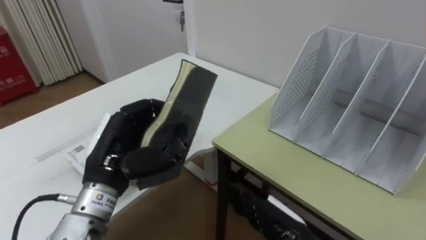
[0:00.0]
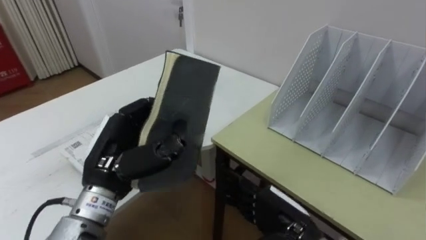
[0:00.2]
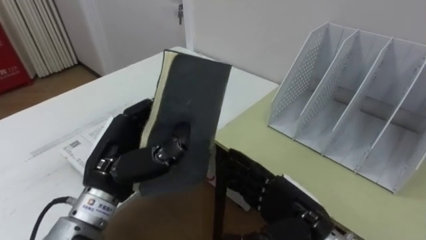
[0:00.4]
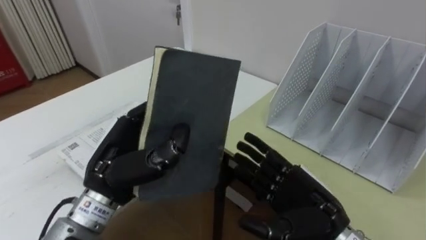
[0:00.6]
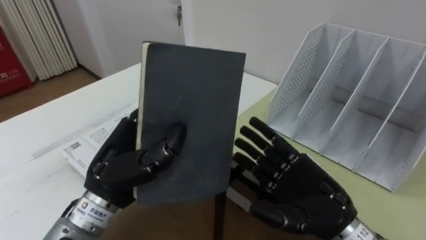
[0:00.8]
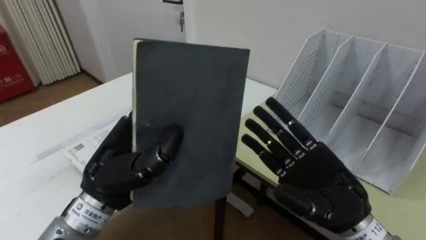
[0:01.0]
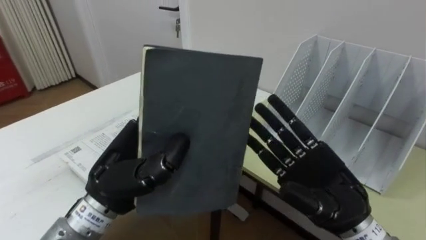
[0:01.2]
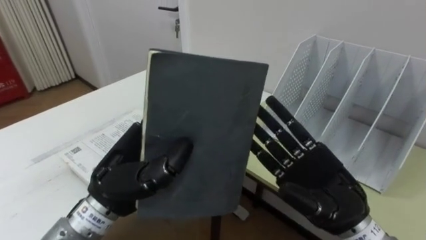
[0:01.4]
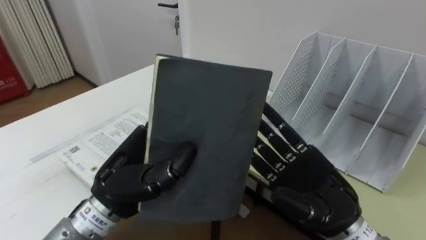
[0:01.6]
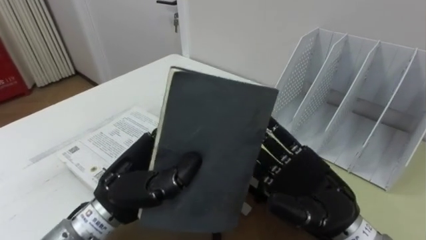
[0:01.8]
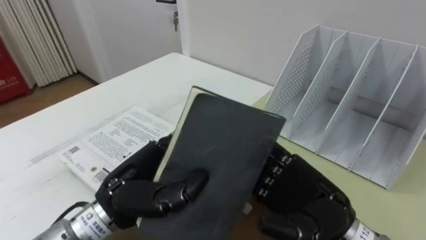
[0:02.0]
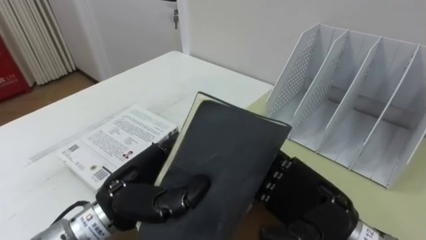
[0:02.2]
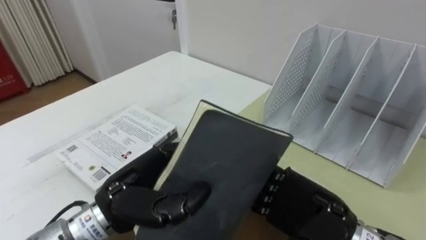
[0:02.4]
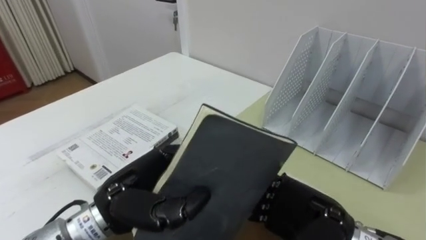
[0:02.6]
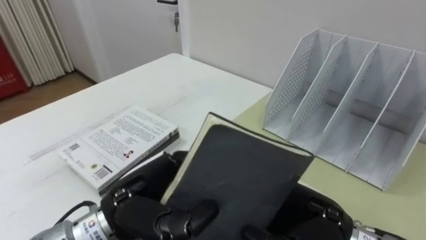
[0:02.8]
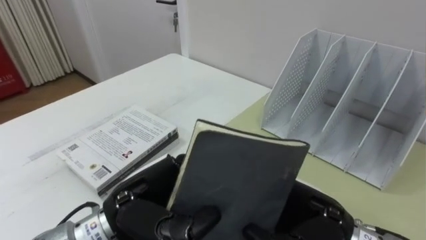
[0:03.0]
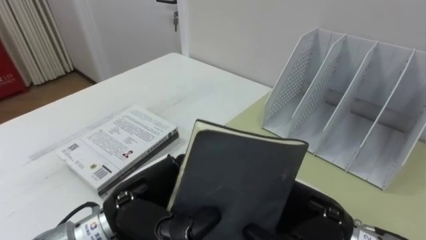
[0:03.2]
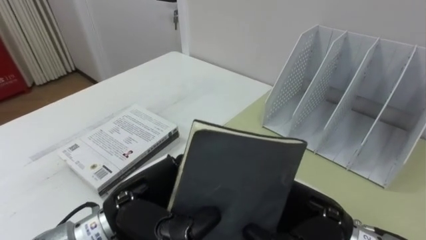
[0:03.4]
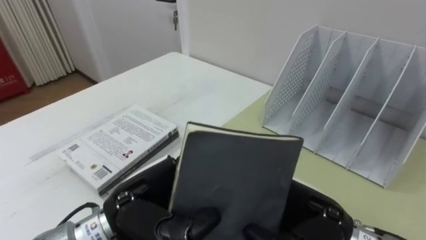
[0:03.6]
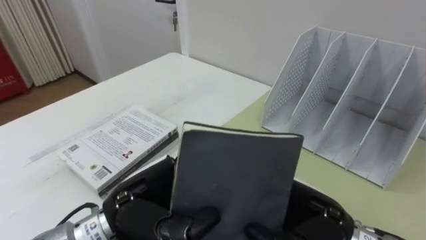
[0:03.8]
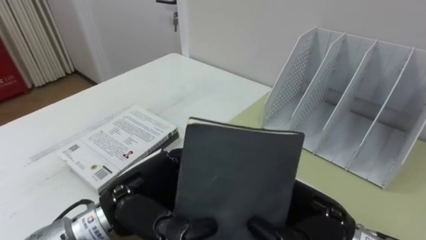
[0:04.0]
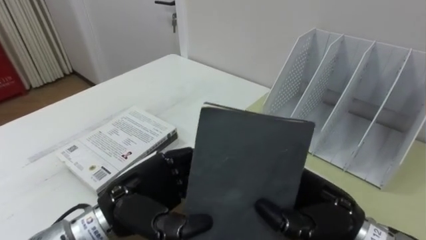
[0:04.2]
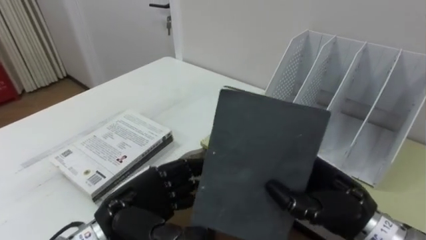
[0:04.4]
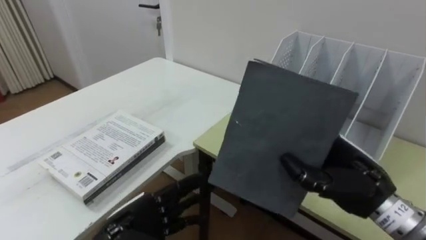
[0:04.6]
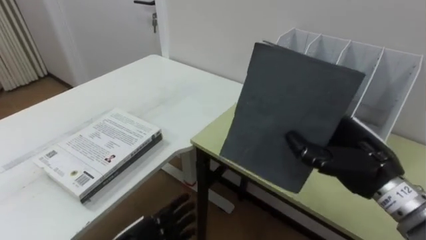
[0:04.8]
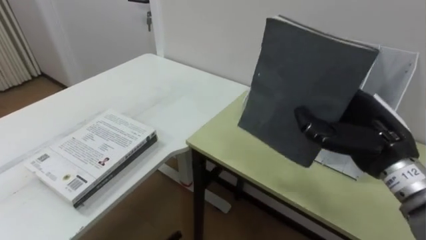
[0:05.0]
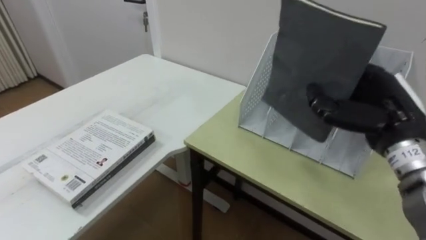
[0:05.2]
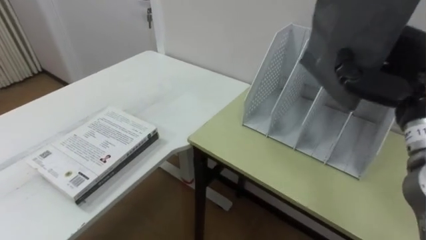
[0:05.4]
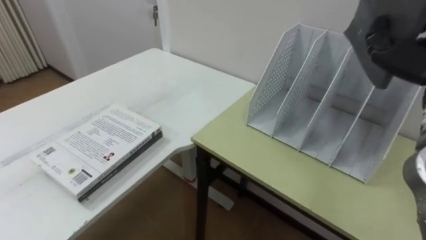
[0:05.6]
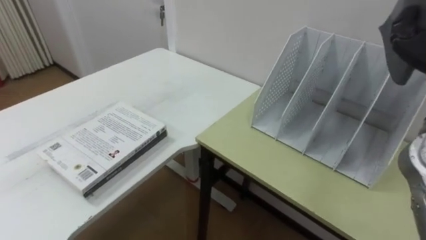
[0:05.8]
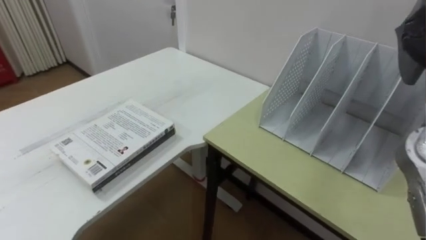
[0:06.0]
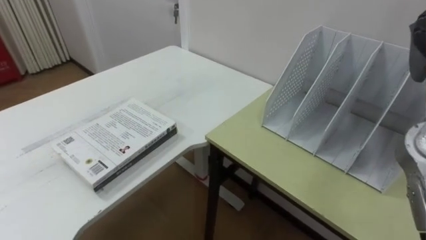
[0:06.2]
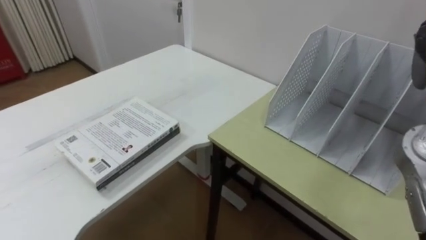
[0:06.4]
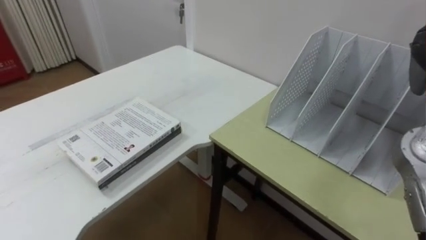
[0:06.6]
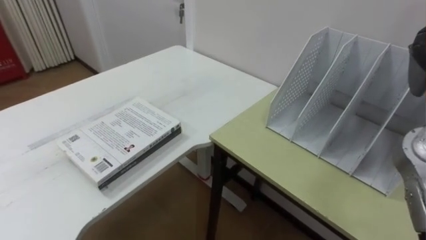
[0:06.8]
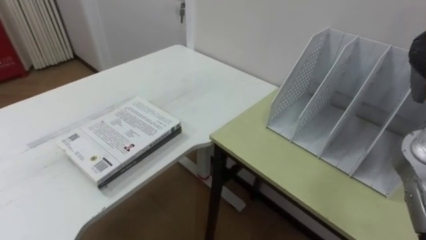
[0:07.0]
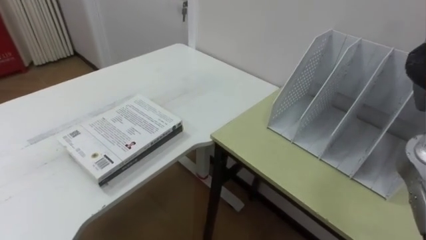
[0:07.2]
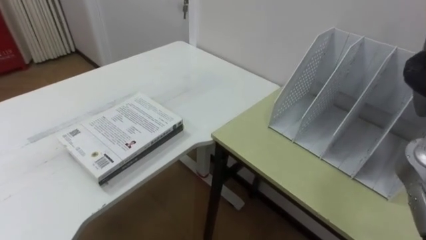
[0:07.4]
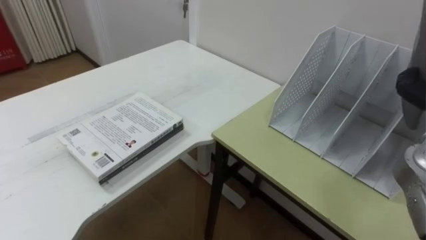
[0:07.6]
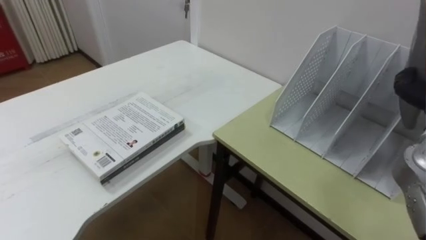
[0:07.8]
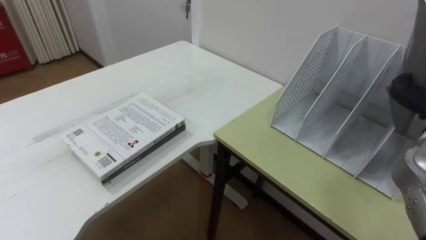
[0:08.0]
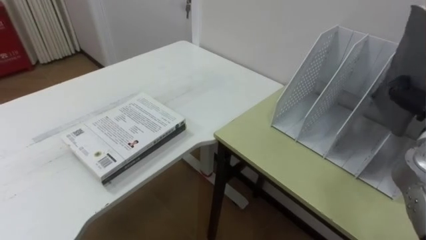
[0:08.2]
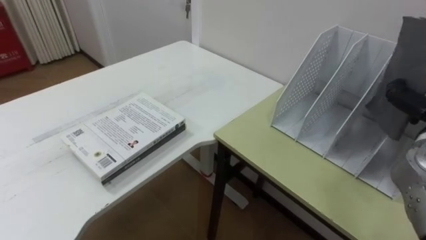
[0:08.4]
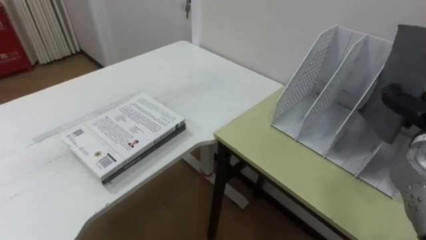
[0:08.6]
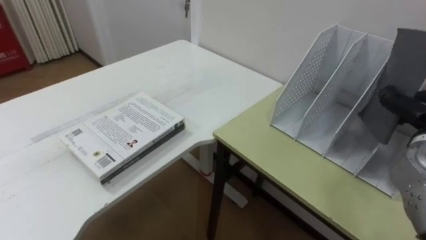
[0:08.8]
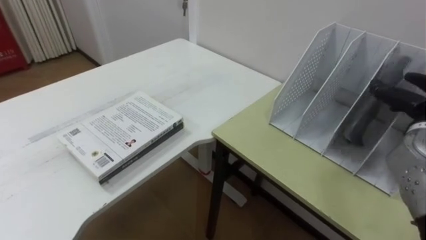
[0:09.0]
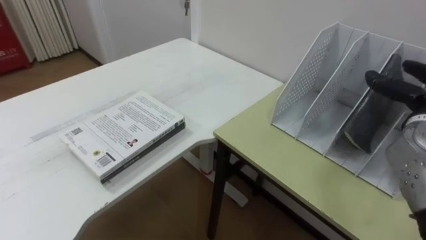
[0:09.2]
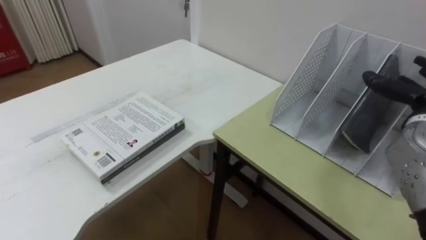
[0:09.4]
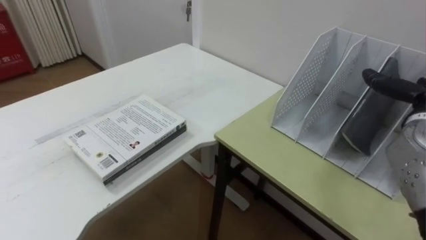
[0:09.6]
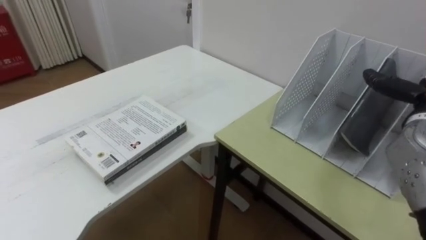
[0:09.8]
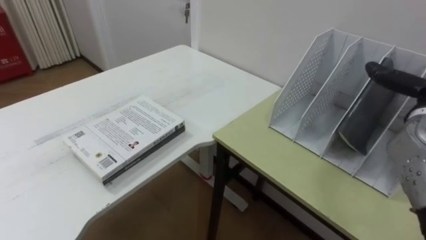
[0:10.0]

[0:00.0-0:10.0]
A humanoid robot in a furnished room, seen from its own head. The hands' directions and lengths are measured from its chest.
Task of the whole recording: Put the books on the table onto the bookshelf.
0:00.0 to 0:01.4: The right hand goes about 10 cm upward.
0:01.4 to 0:02.8: The right hand closes up.

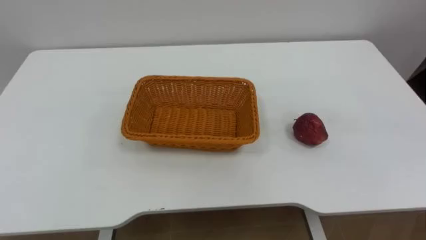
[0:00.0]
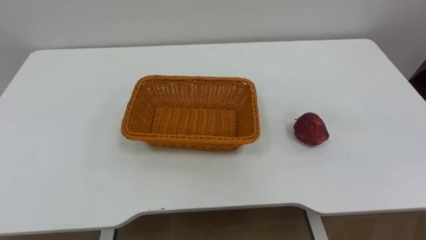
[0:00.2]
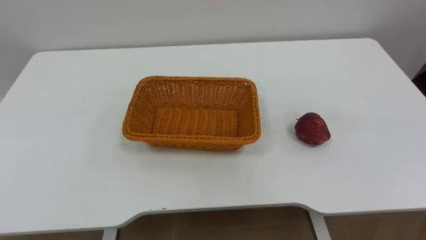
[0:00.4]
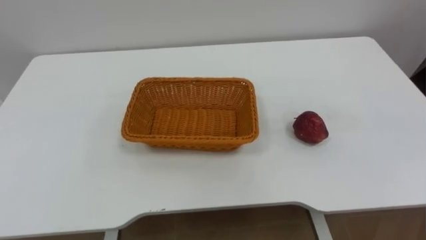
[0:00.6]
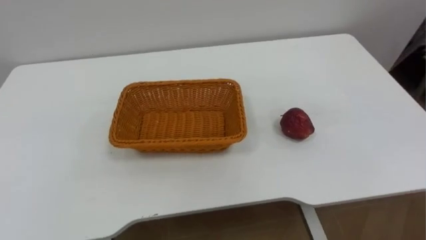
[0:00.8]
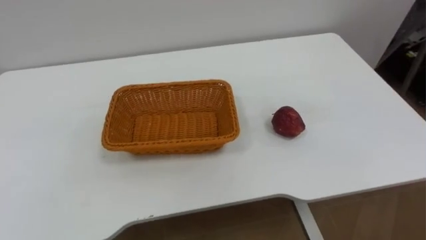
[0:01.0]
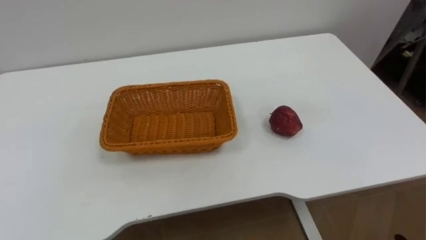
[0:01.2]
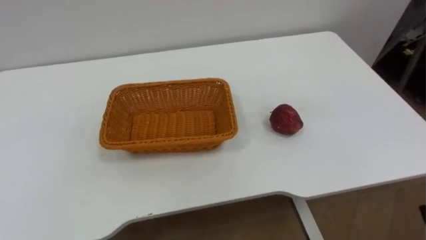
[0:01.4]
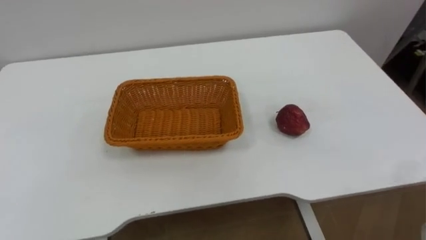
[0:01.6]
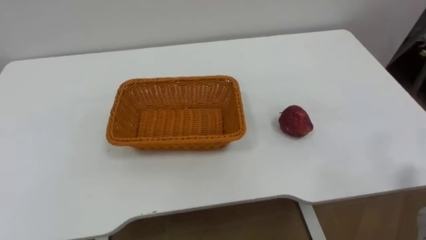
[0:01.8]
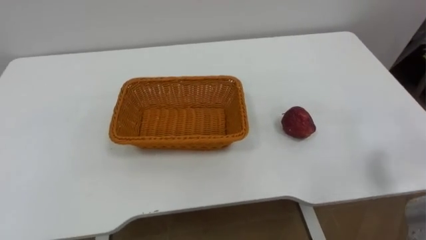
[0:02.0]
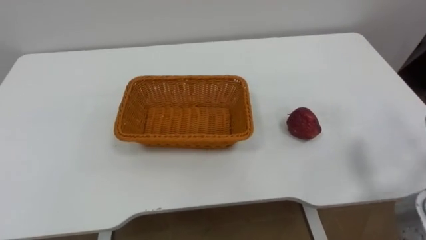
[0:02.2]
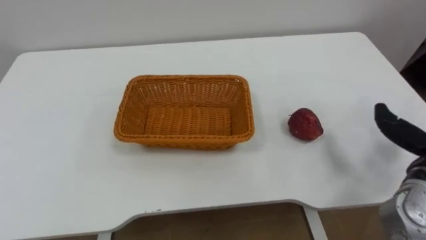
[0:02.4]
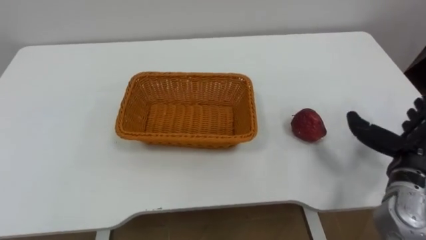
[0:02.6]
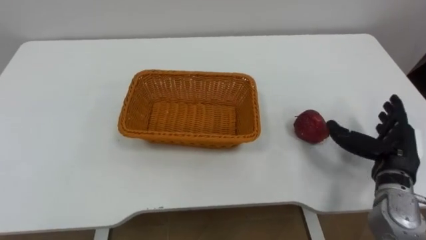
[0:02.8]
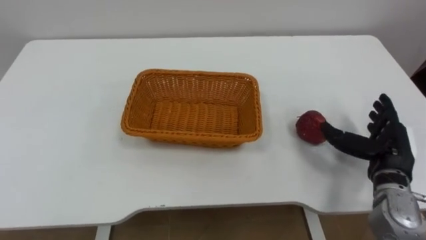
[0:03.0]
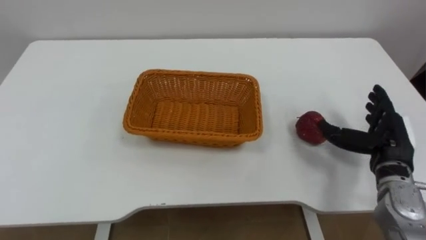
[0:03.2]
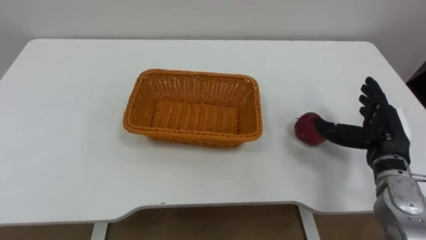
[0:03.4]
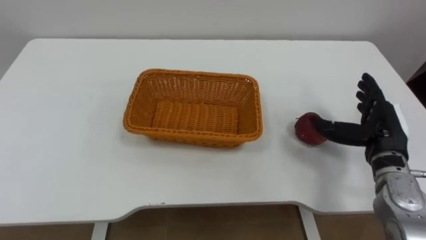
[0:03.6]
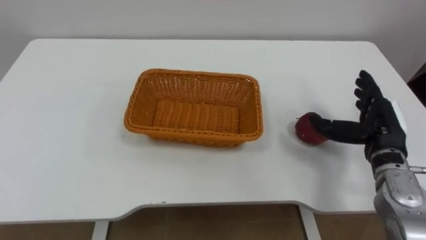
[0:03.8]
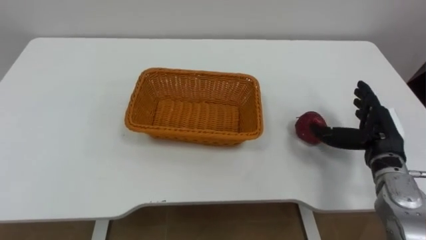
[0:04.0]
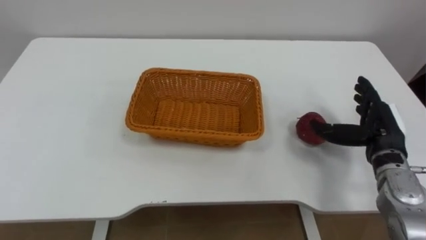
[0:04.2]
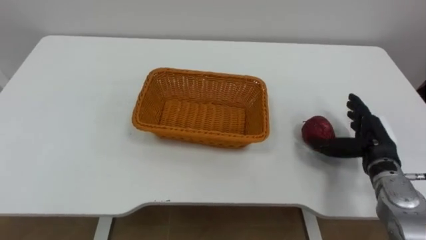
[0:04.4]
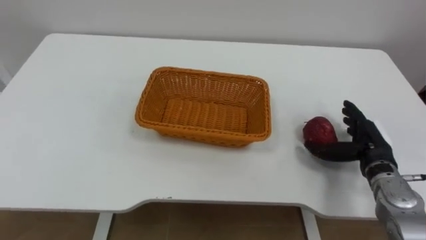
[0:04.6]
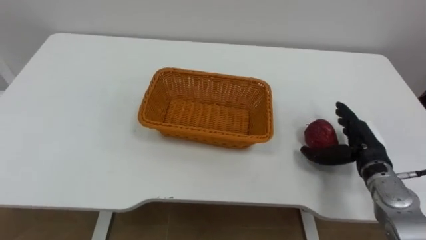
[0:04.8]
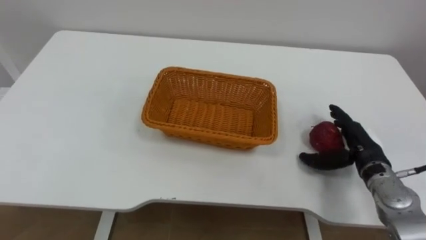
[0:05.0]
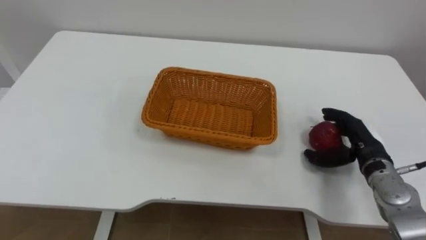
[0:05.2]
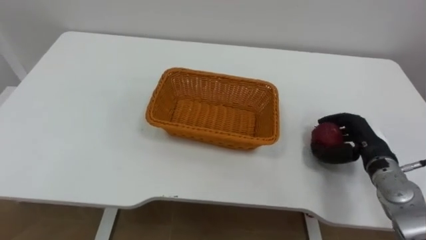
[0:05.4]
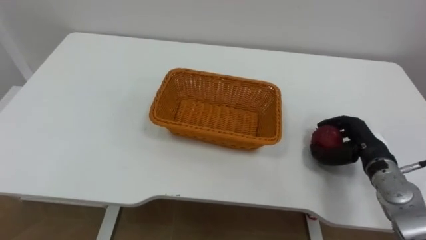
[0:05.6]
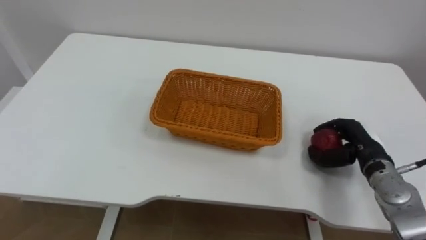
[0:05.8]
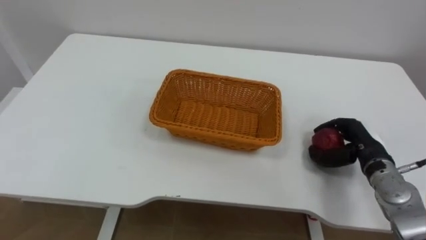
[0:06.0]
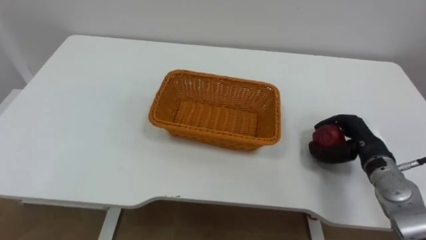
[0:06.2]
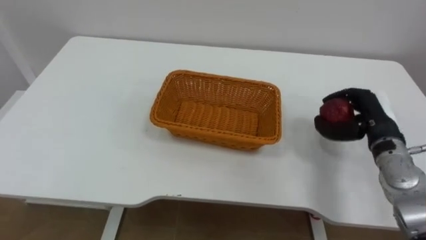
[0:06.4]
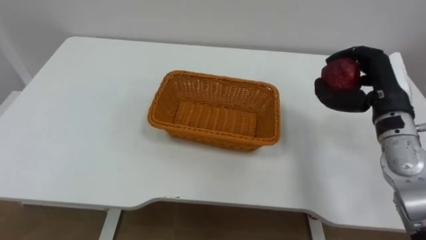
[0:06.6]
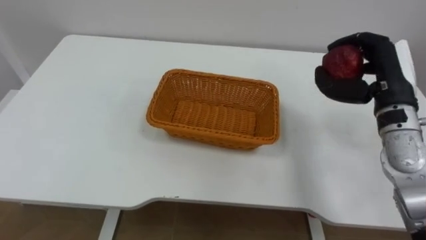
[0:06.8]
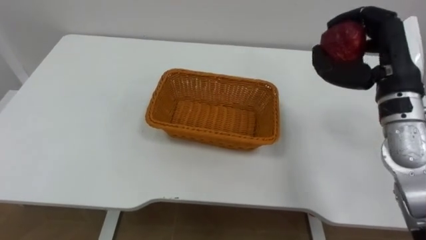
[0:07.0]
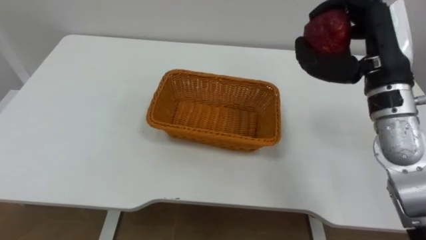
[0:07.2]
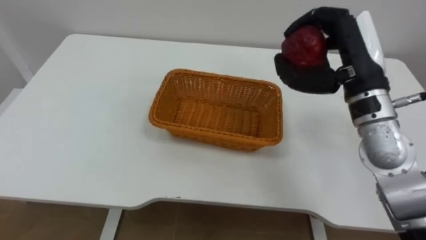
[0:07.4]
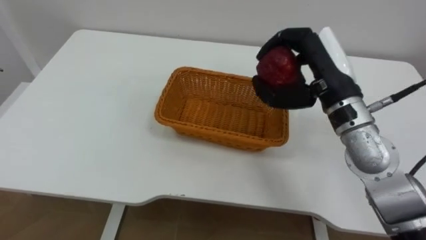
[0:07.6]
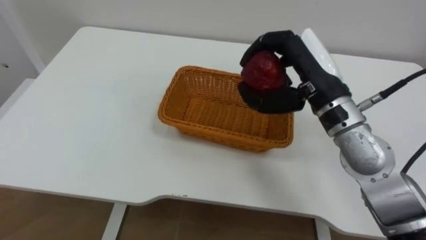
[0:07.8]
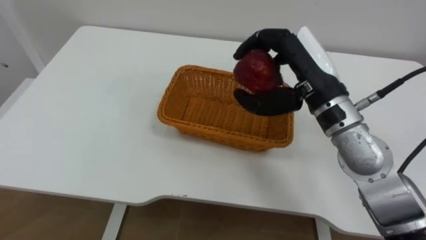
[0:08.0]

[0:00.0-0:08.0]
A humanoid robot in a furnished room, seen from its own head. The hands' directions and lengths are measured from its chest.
Task of the whole recording: Pick the apple and place it in the box.
0:04.8 to 0:06.4: The right hand closes up.
0:06.4 to 0:08.0: The right hand moves to the left and upward, about 20 cm.
